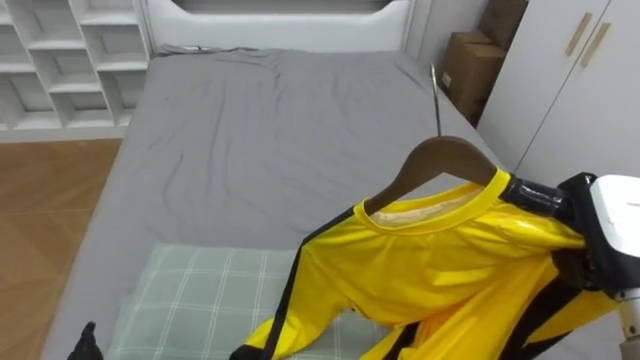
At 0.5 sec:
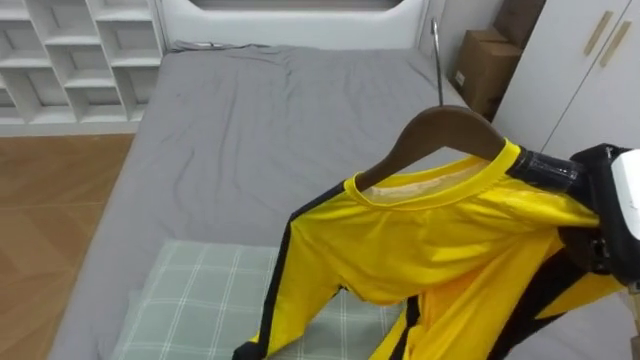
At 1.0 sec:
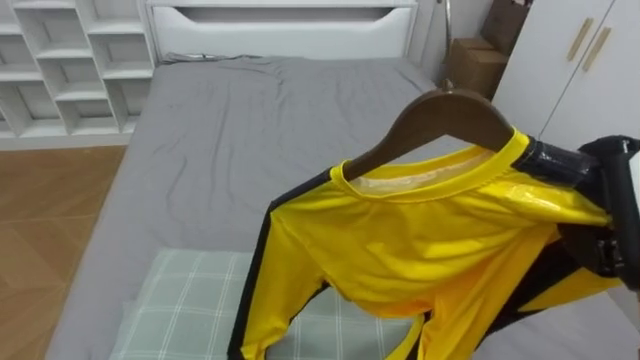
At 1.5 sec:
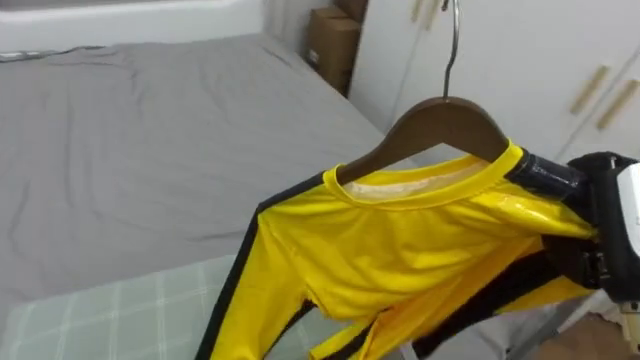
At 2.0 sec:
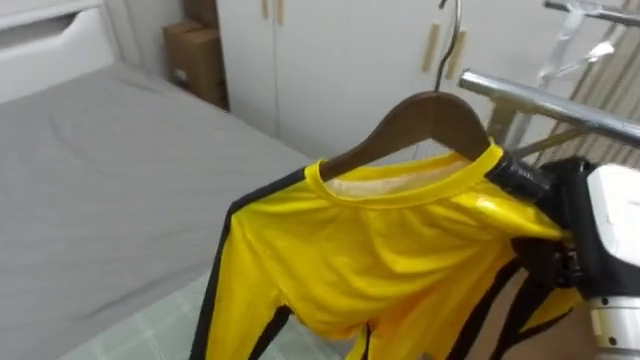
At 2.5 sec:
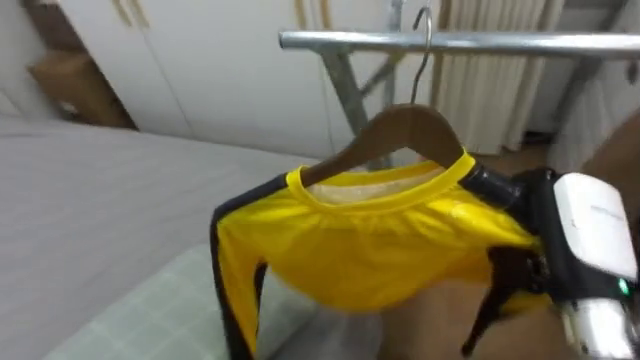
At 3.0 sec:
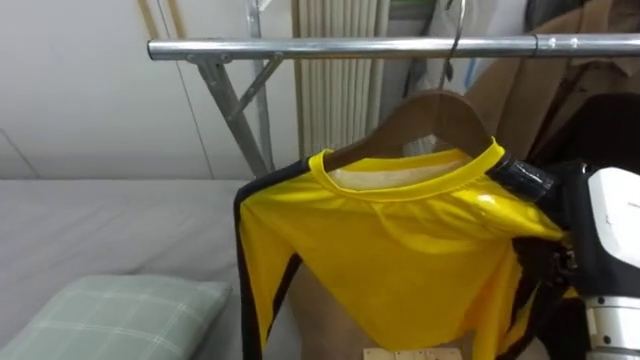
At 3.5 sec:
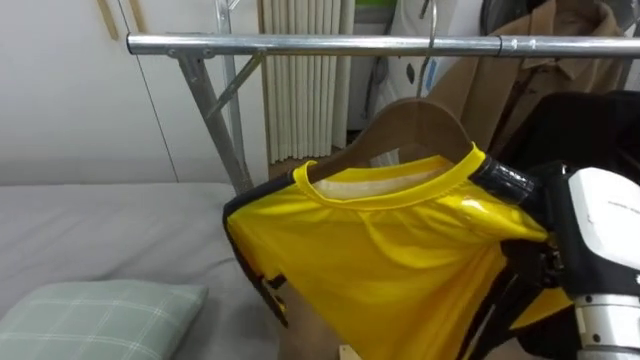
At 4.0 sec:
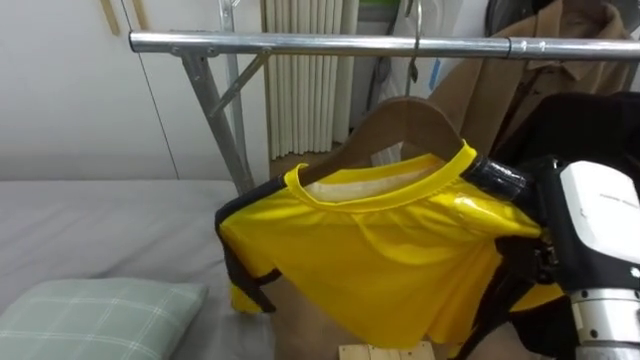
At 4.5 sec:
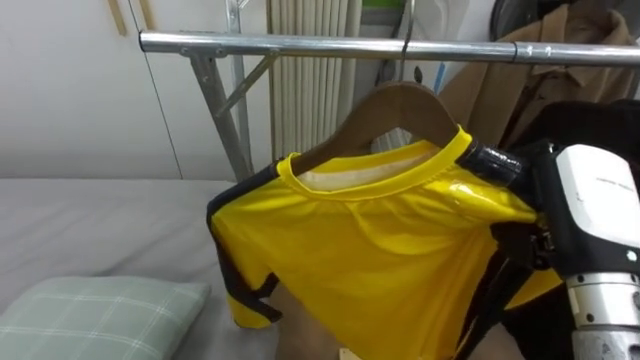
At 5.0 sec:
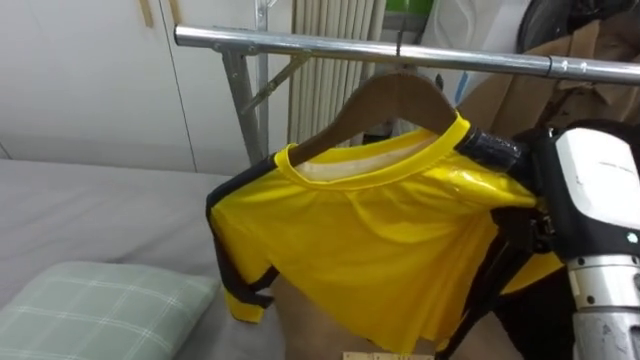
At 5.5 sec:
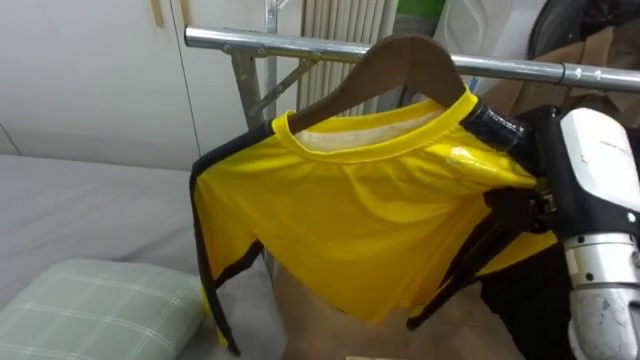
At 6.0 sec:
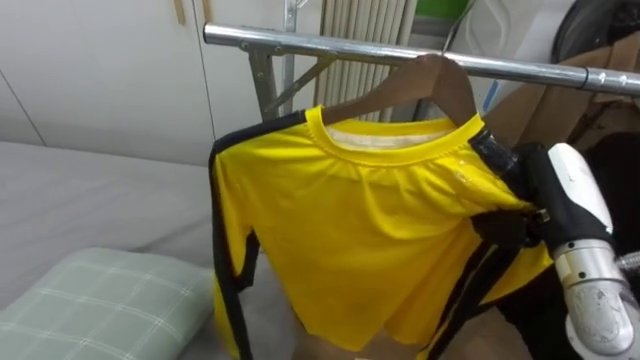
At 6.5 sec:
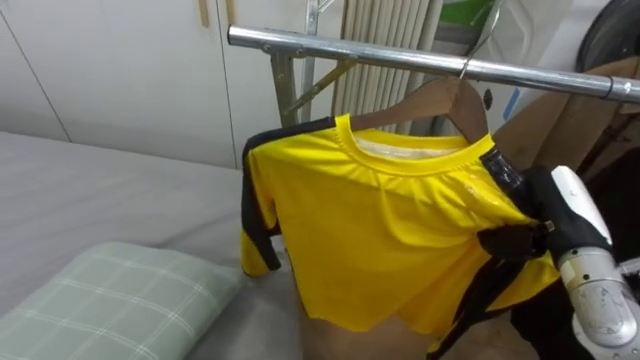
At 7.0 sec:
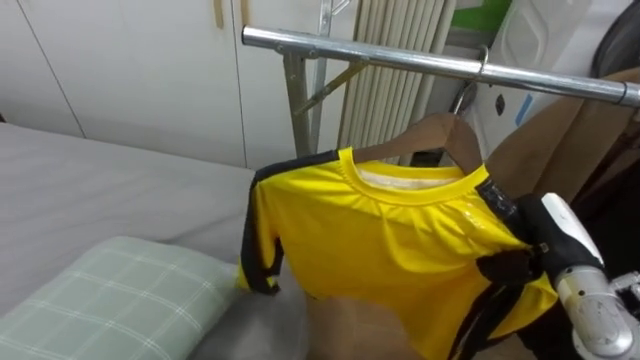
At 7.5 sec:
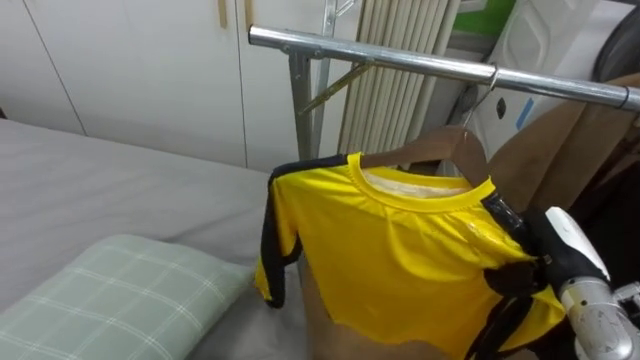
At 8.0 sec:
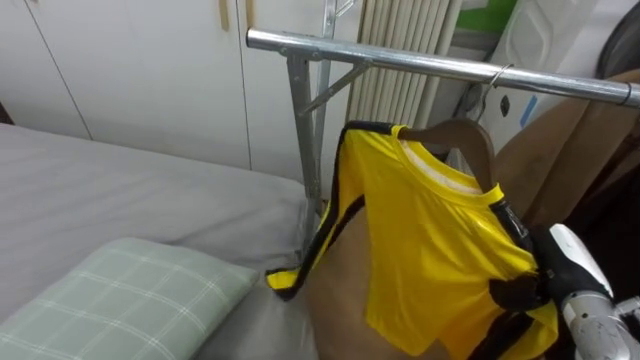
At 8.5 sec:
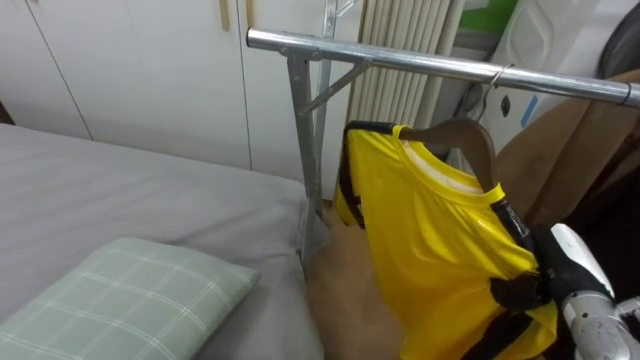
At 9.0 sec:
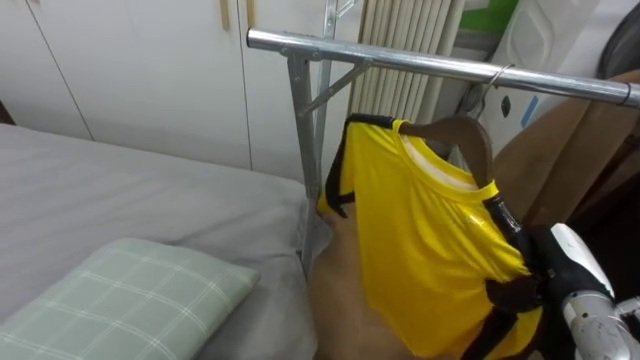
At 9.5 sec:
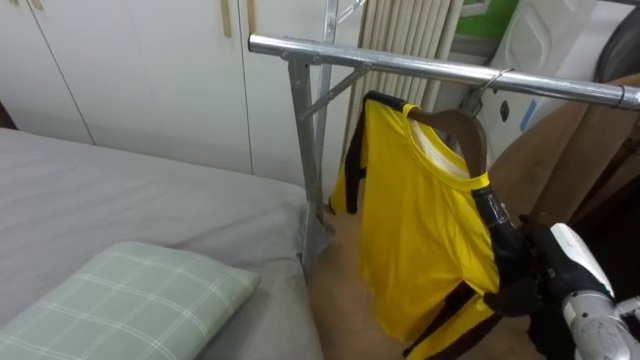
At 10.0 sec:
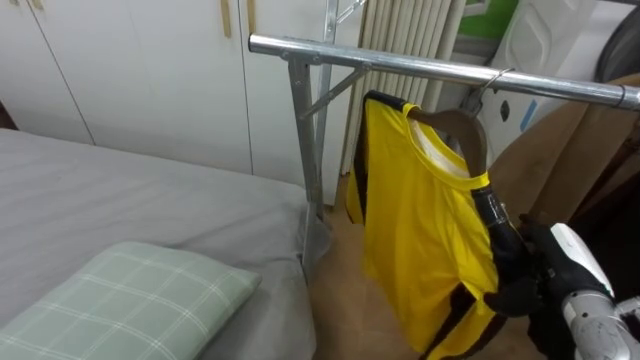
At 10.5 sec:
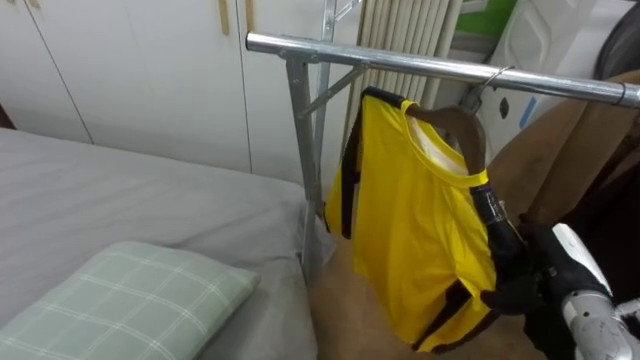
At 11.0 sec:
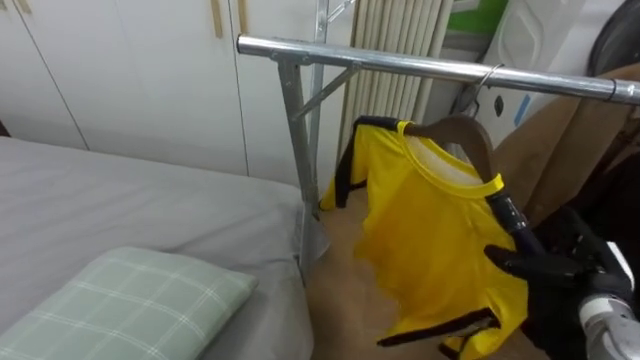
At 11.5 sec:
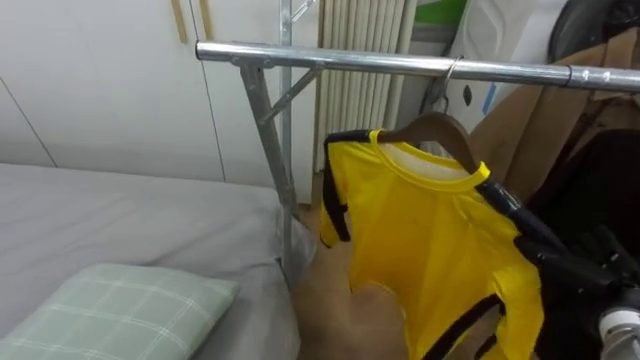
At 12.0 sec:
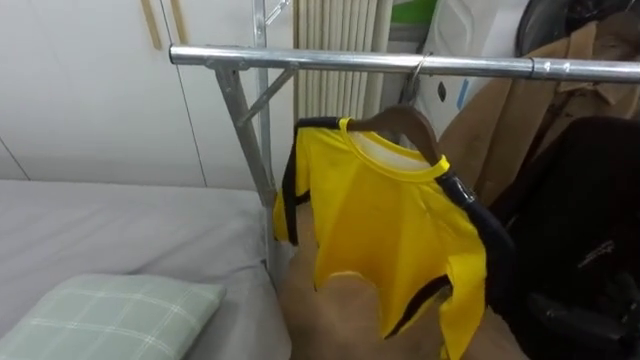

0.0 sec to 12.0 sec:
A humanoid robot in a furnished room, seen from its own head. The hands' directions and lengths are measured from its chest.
Task of the whole recording: Pick up the yellow shirt on the bed and hang it on the clothes rack on the right.
0.0 sec to 2.0 sec: The robot's body swings about 40 degrees to its right.
2.0 sec to 4.0 sec: The robot's body swings approximately 45 degrees to its right.
4.0 sec to 6.0 sec: The right hand moves forward, some 5 cm.
6.0 sec to 8.0 sec: The right hand goes roughly 10 cm downward.
8.0 sec to 10.0 sec: The right hand opens its fingers.
10.0 sec to 12.0 sec: The right hand shifts some 10 cm backward and to the right.

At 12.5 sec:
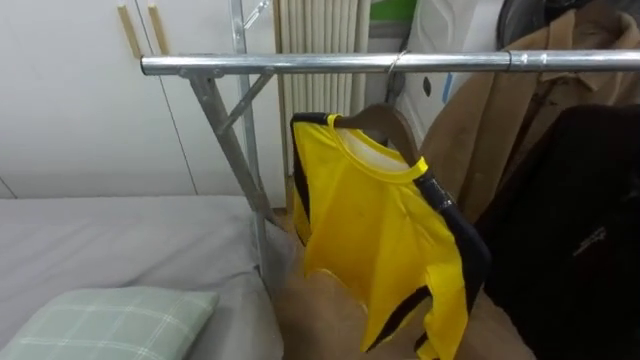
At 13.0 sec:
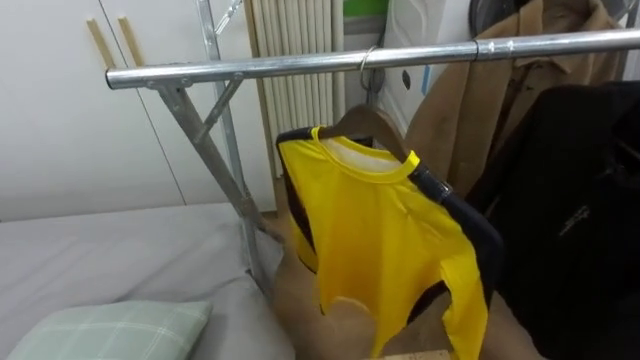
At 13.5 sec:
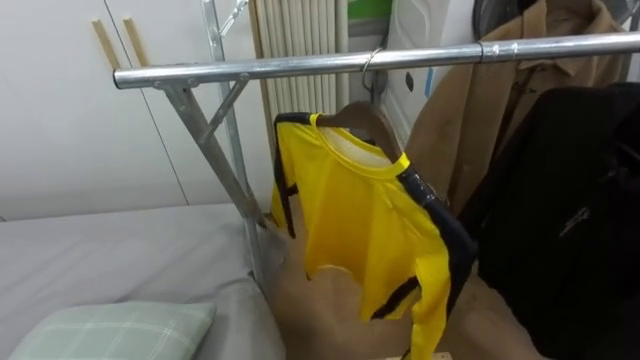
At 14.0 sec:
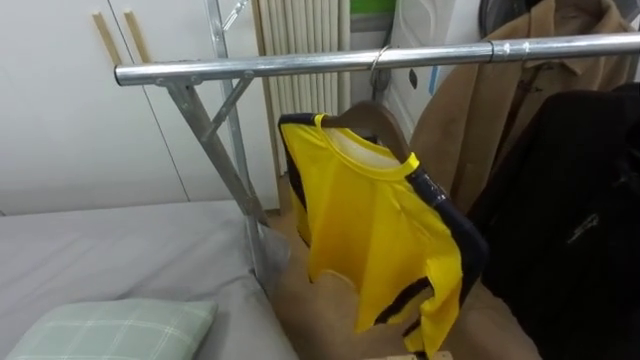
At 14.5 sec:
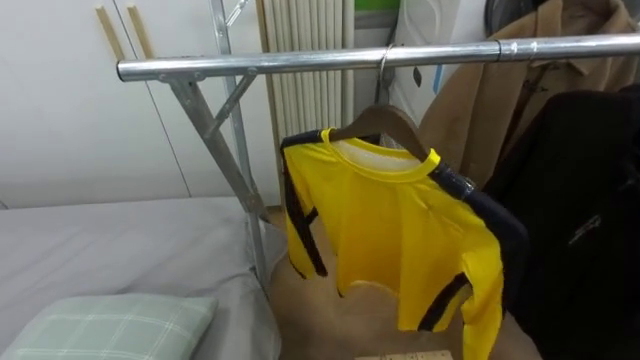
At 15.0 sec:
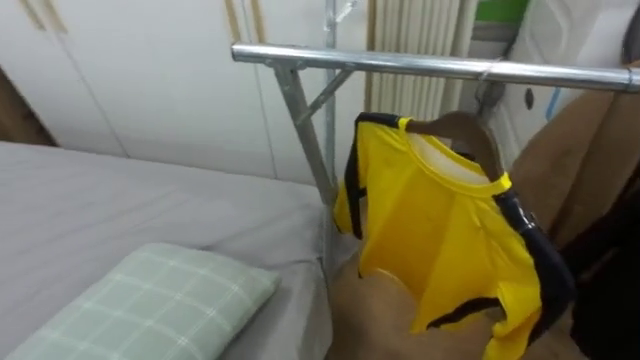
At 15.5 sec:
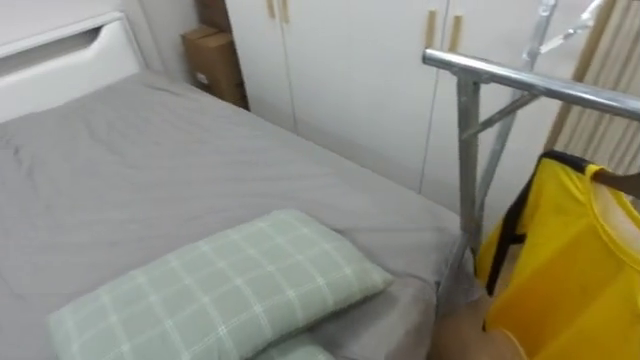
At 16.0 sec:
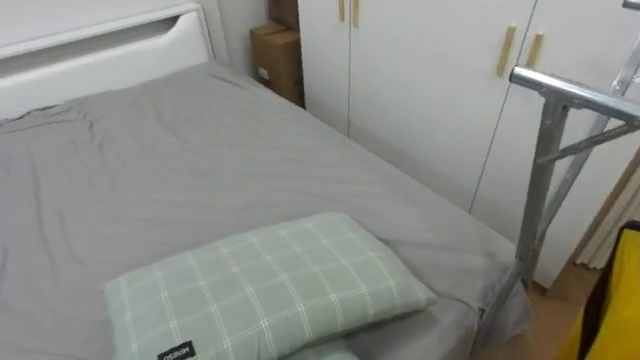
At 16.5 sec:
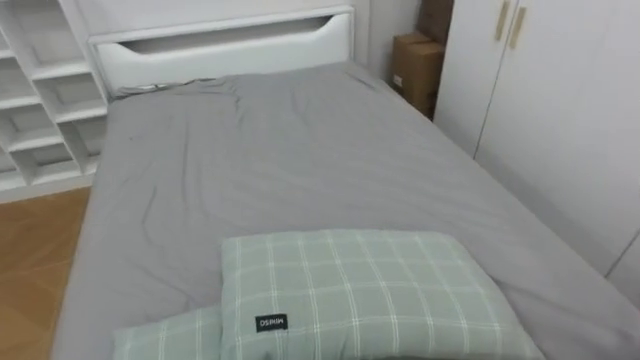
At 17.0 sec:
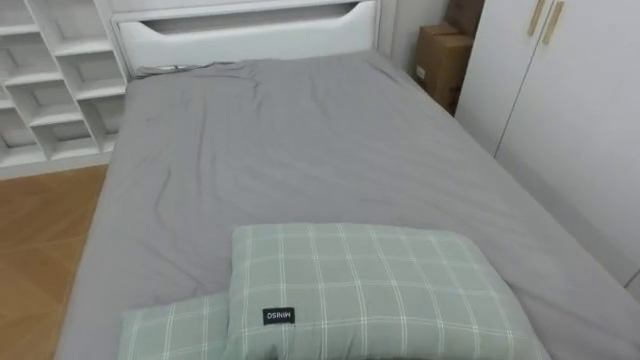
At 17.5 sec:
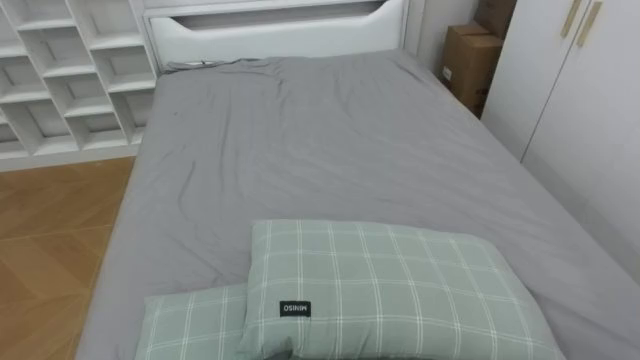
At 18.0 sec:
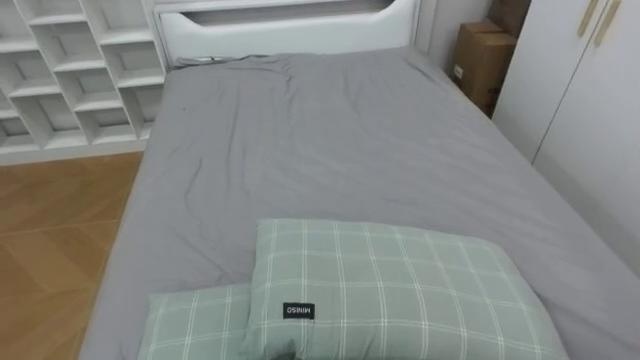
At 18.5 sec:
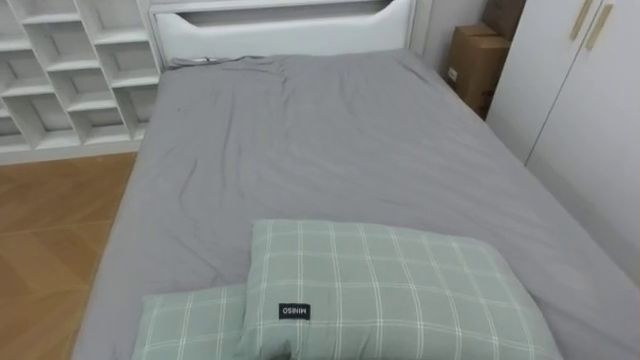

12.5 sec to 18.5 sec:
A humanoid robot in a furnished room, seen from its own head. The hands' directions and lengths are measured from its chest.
Task of the whole recording: Pick up the yellow shirt on the bed and hang it on the clothes rack on the right.
14.5 sec to 16.5 sec: The robot faces some 75 degrees further to its left.

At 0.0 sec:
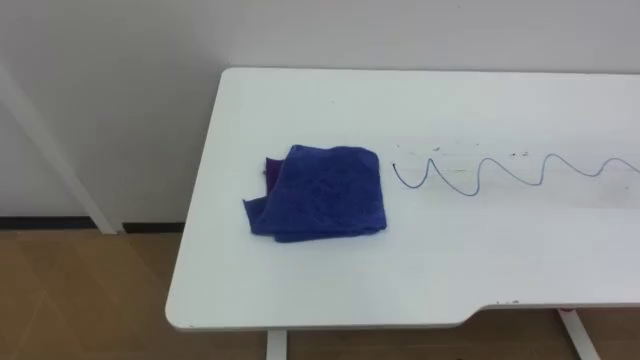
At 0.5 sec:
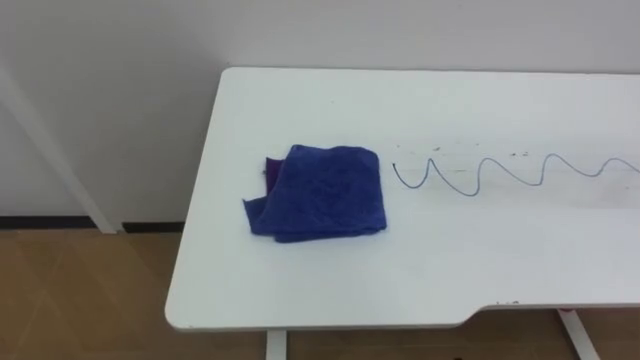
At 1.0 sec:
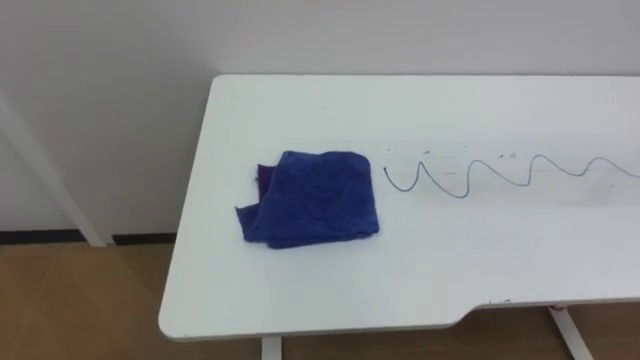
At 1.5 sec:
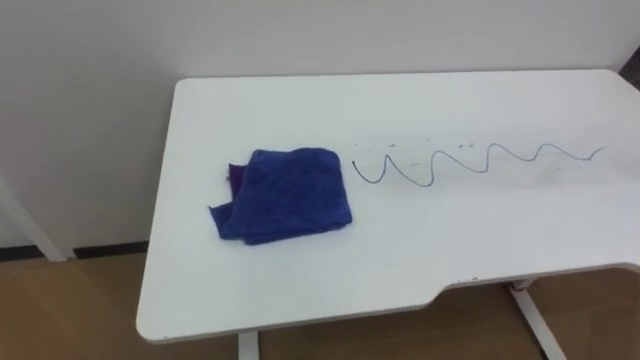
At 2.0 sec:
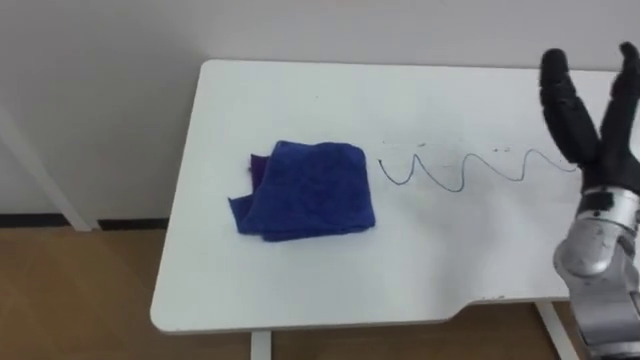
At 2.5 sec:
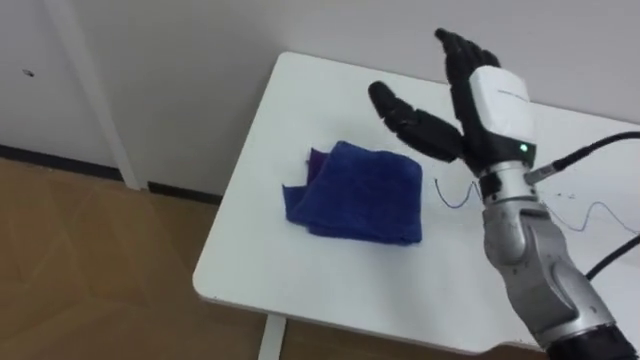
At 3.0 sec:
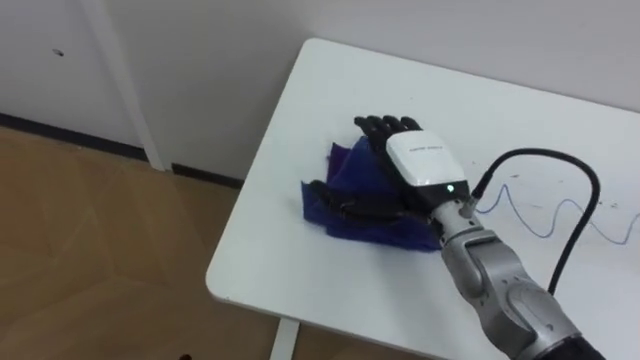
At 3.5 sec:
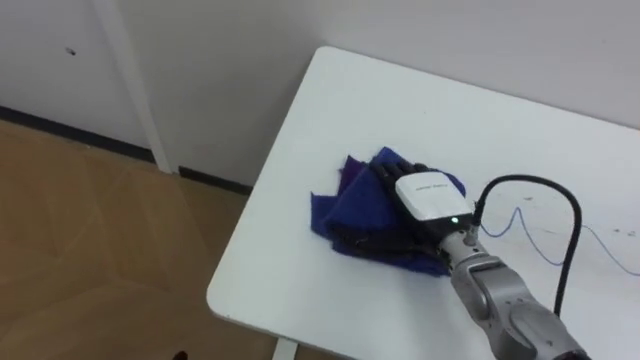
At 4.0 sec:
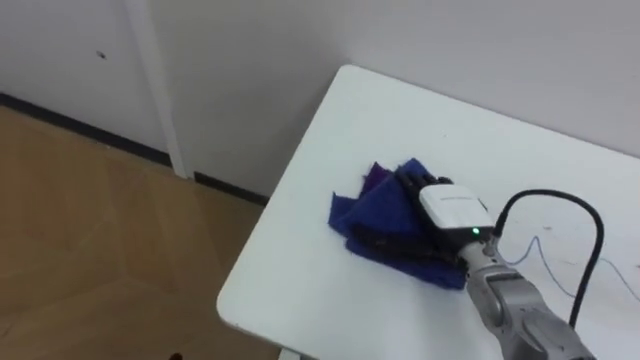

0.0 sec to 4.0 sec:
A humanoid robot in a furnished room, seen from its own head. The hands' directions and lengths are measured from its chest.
Task of the whole recording: Wipe the blue pen marks off the table with the rag.
2.0 sec to 4.0 sec: The right hand goes roughly 20 cm to the left and downward.
